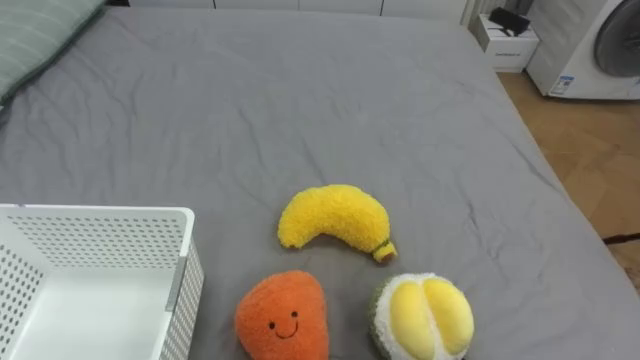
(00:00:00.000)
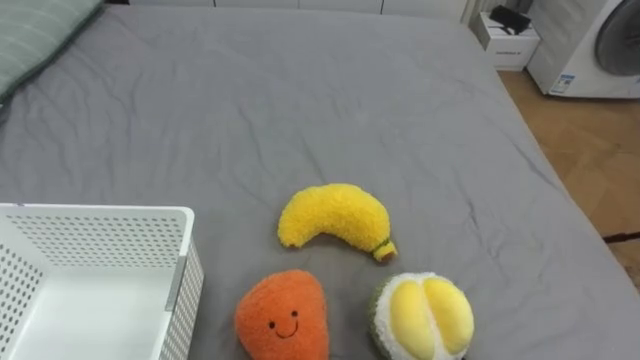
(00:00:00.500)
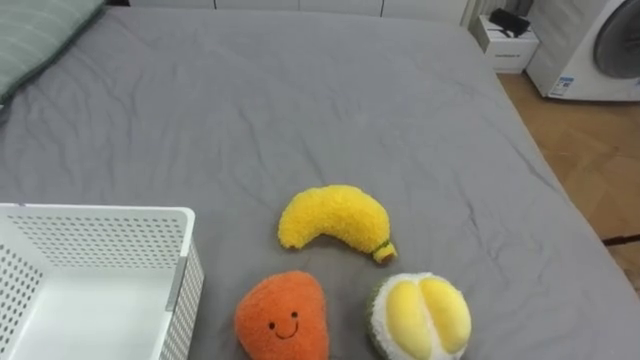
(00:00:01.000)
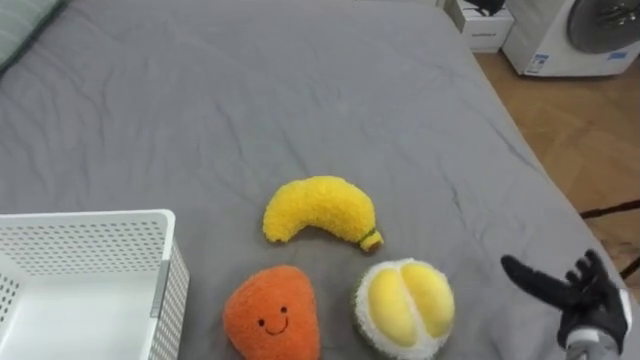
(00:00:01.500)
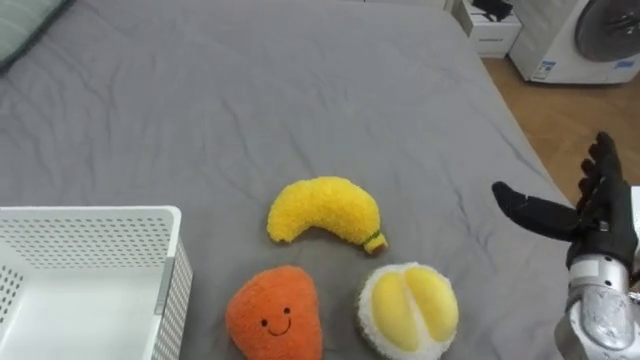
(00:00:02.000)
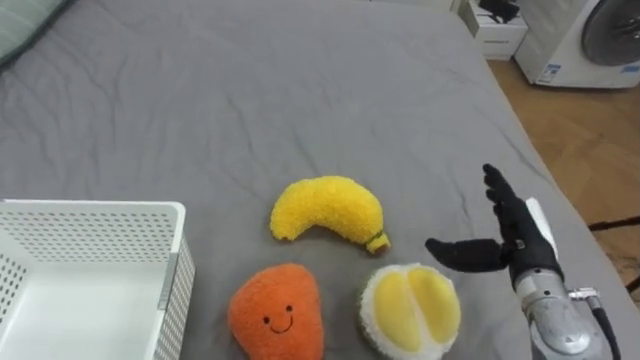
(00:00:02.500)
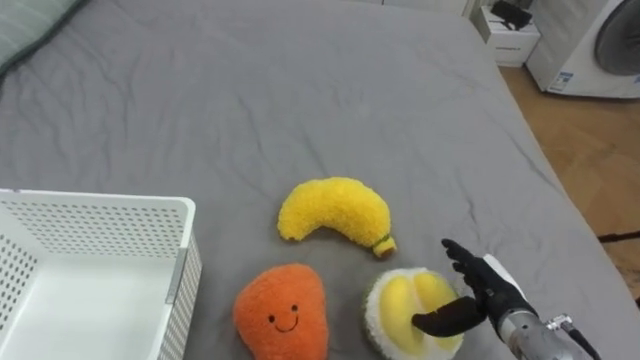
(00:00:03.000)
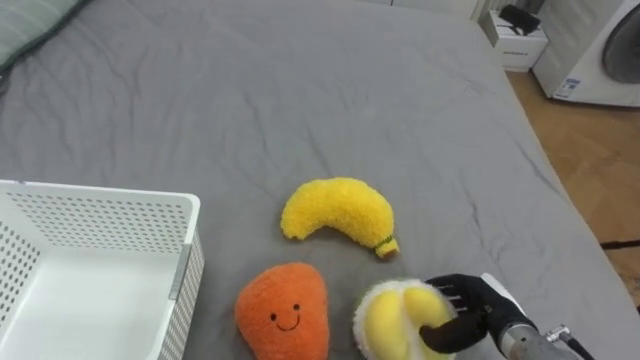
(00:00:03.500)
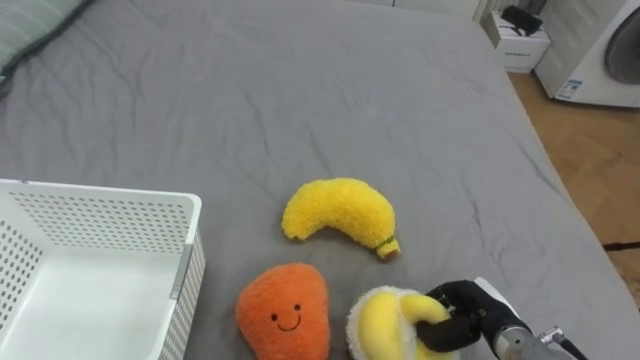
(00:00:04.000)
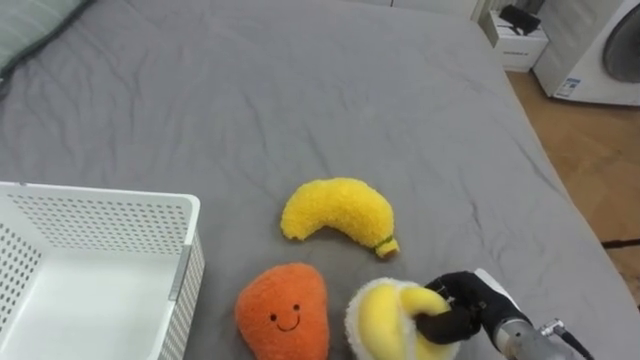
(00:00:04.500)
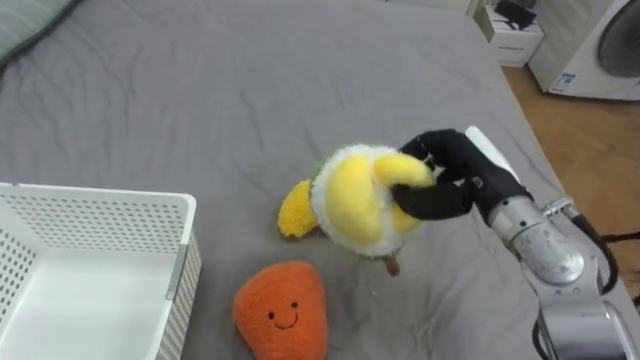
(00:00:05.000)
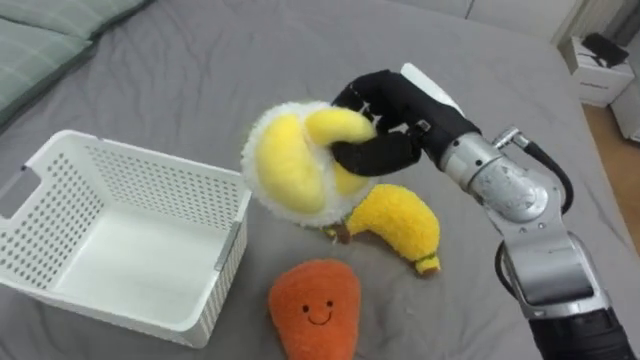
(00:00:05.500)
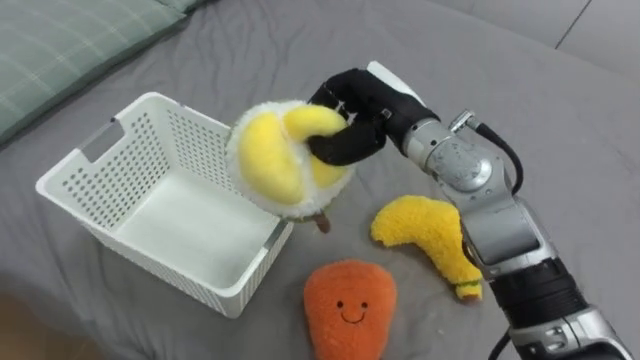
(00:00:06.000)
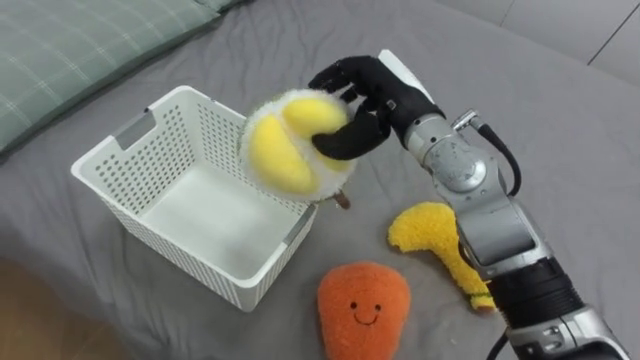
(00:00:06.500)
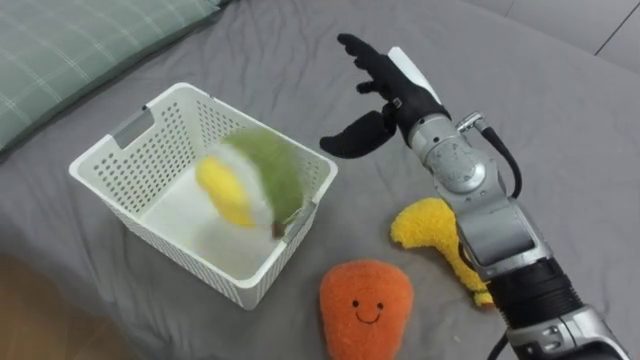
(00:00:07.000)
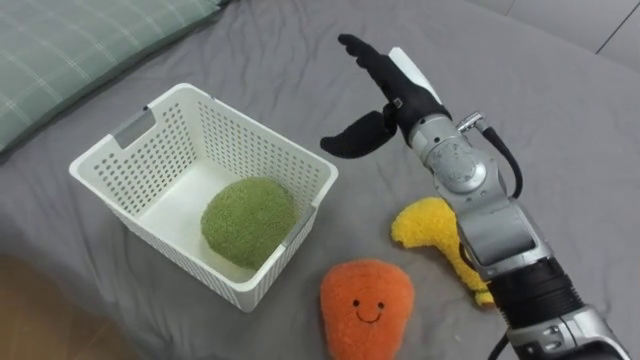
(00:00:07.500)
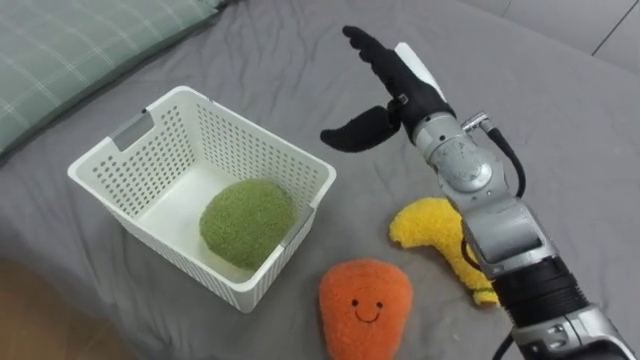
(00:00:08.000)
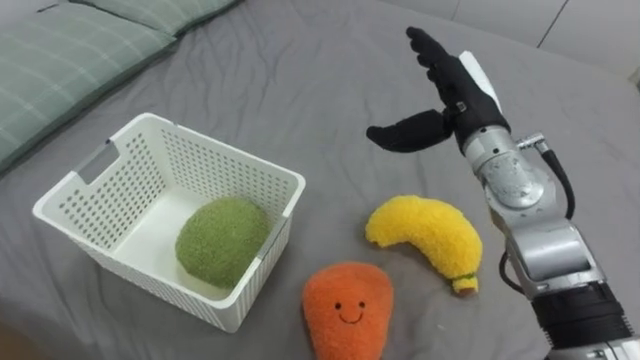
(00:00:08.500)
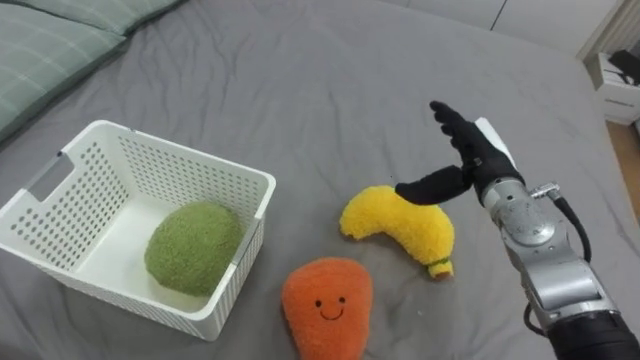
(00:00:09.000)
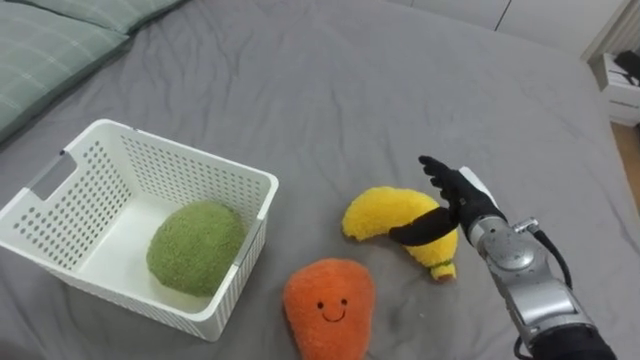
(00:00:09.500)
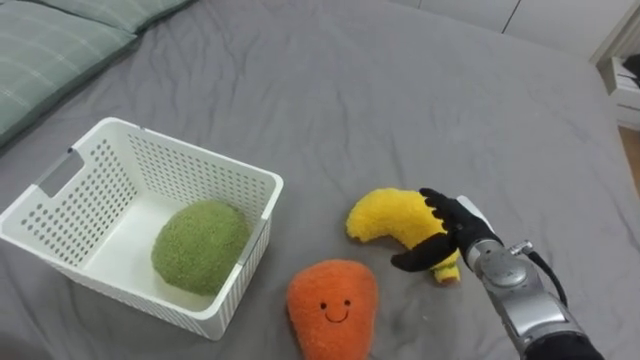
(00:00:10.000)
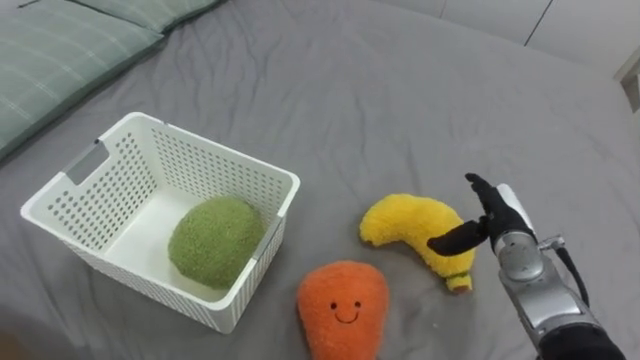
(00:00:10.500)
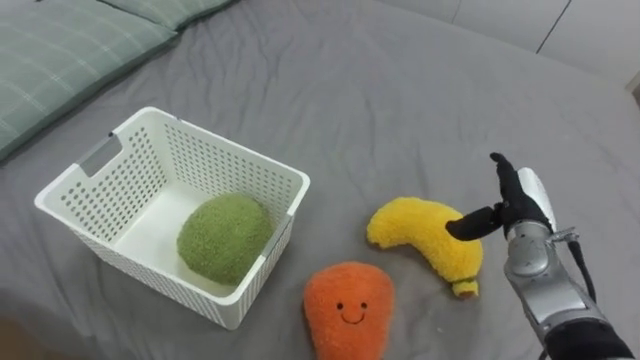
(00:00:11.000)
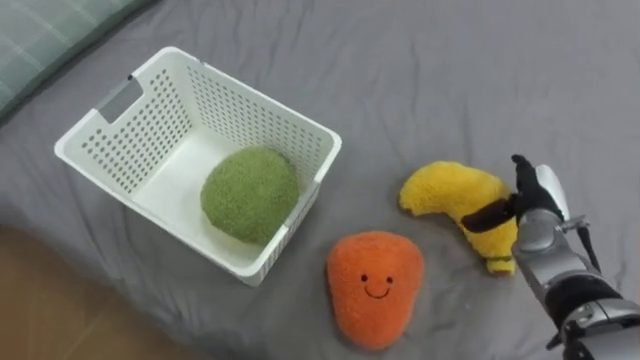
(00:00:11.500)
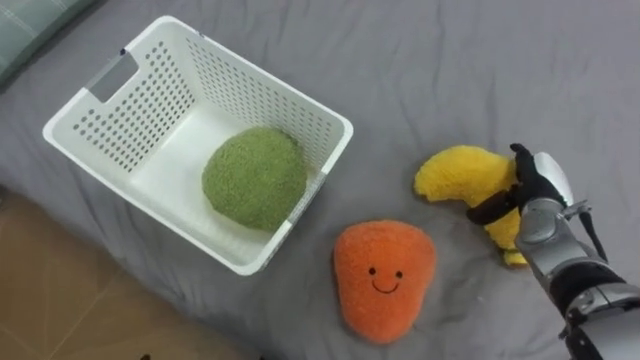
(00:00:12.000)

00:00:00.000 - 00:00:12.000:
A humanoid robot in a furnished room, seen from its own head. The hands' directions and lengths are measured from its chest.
Task of the whole recording: Put the toys on the bed into the basket on the left.
00:00:02.000 - 00:00:04.000: The right hand goes roughly 15 cm downward and to the left, and closes its fingers.
00:00:04.000 - 00:00:06.000: The right hand goes roughly 35 cm upward, forward and to the left.
00:00:06.000 - 00:00:08.000: The right hand opens its fingers.
00:00:08.000 - 00:00:10.000: The right hand travels downward and to the right by about 20 cm.
00:00:10.000 - 00:00:12.000: The right hand travels to the right by approximately 10 cm.

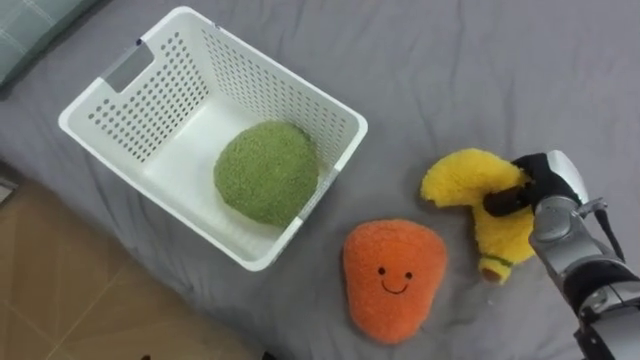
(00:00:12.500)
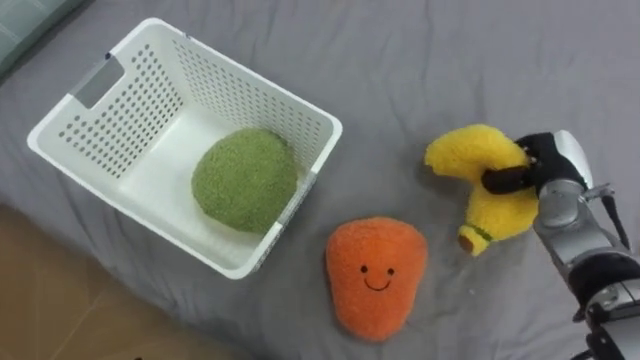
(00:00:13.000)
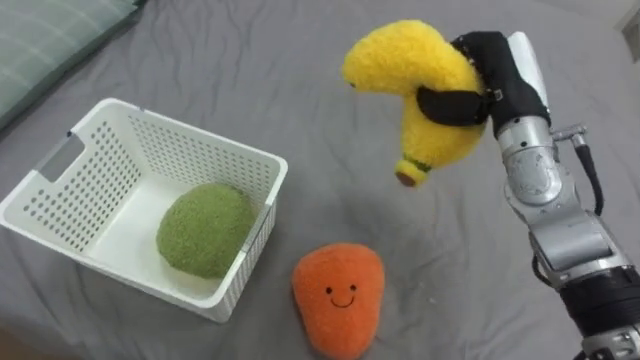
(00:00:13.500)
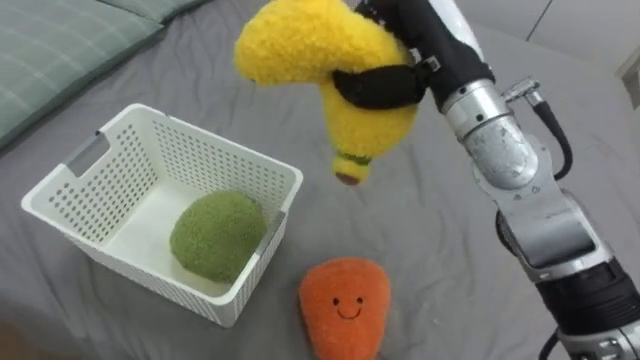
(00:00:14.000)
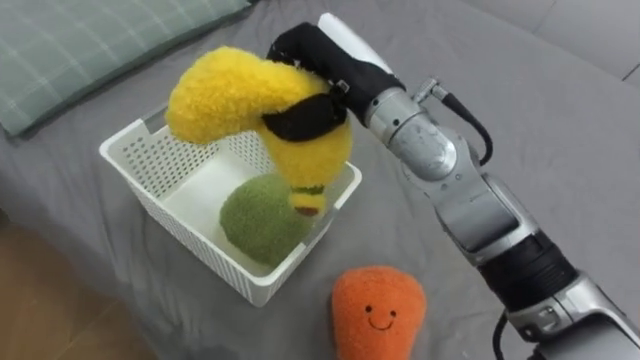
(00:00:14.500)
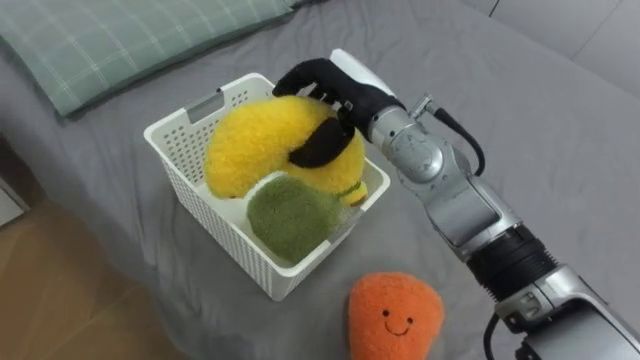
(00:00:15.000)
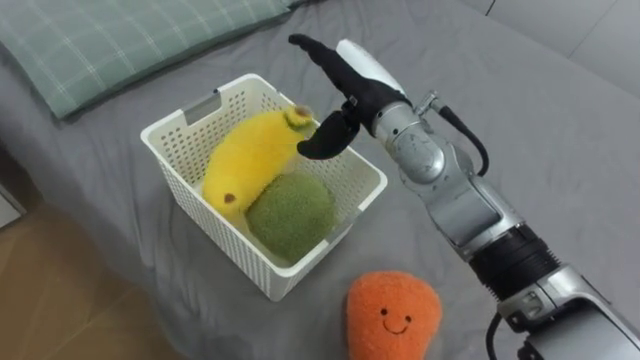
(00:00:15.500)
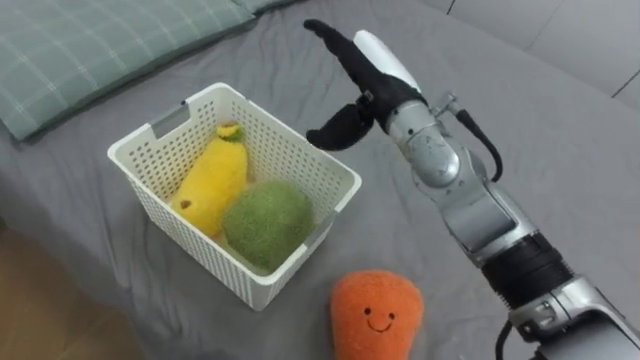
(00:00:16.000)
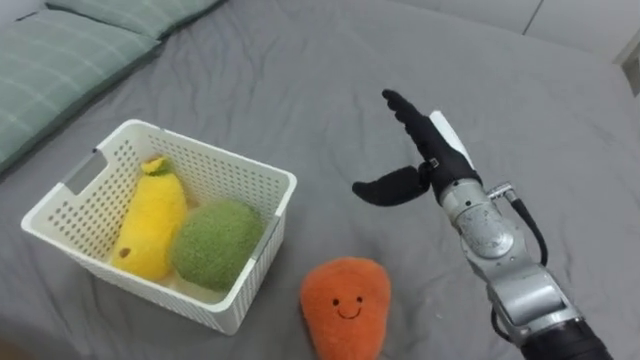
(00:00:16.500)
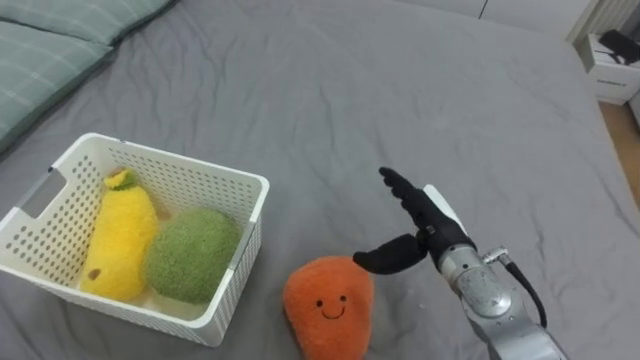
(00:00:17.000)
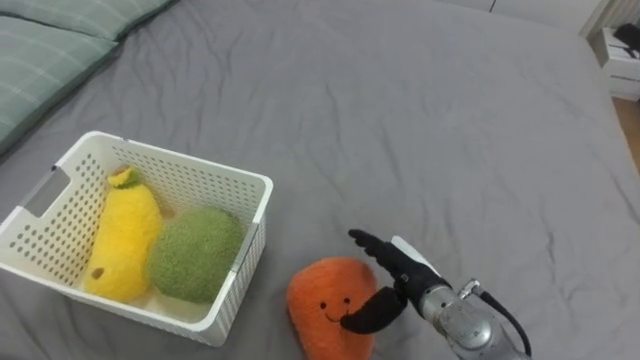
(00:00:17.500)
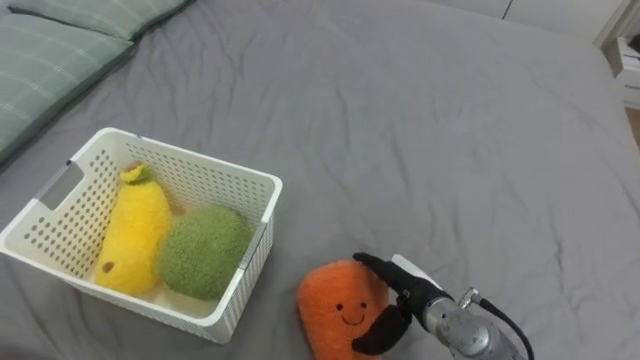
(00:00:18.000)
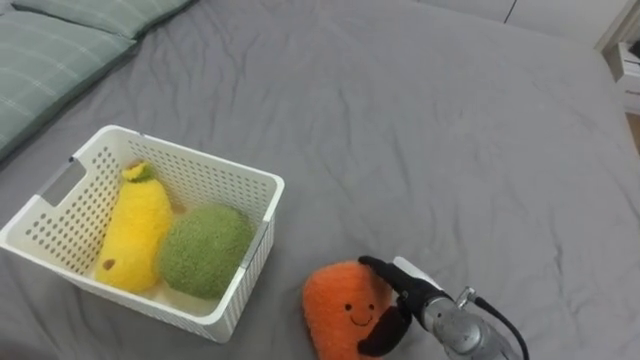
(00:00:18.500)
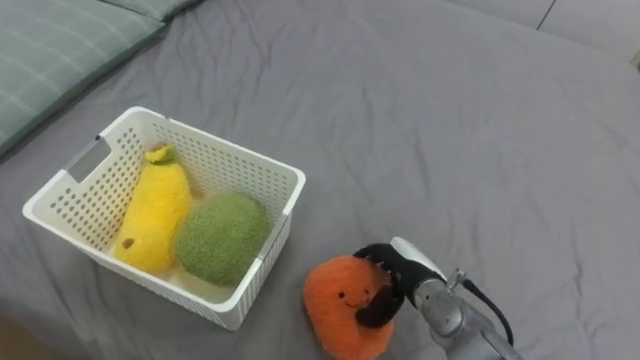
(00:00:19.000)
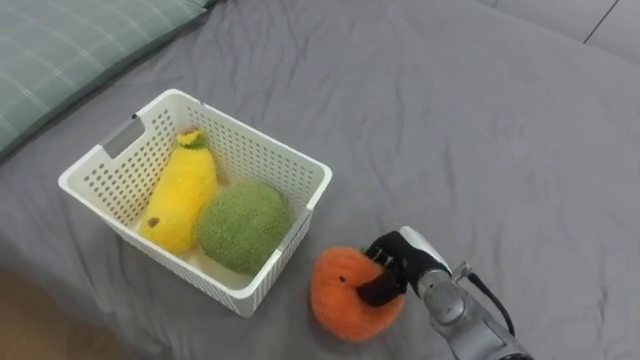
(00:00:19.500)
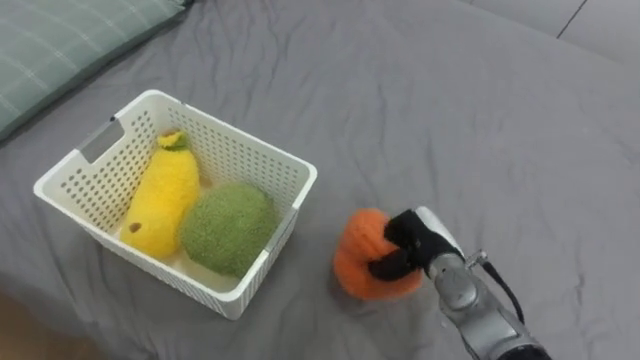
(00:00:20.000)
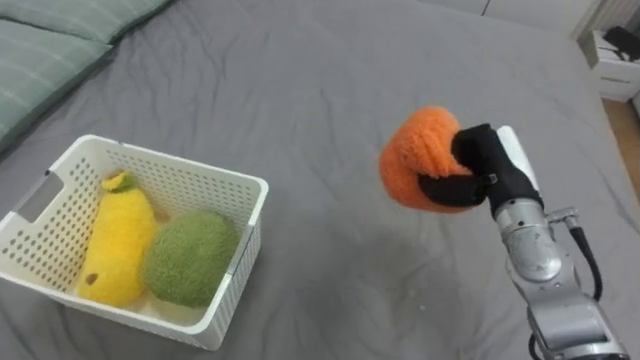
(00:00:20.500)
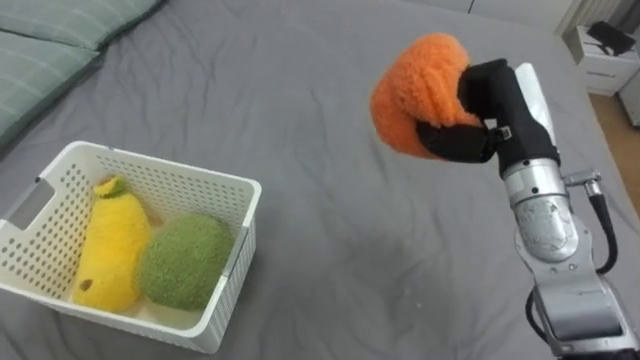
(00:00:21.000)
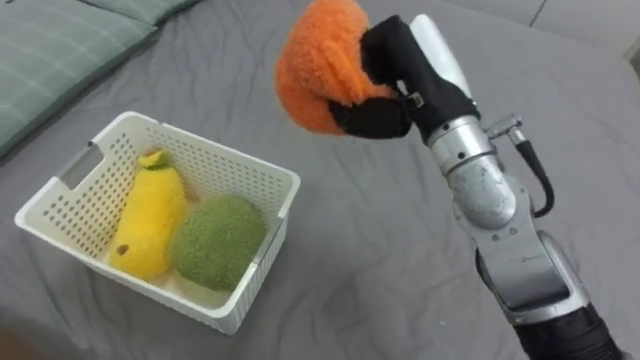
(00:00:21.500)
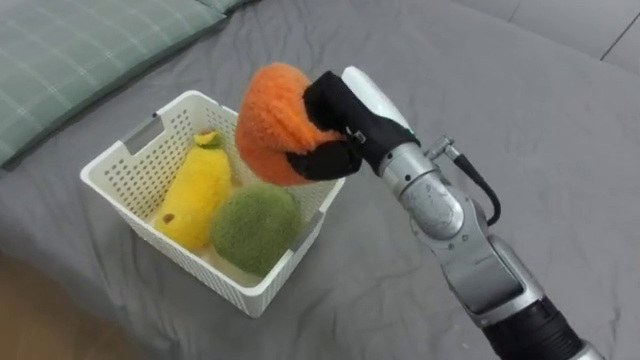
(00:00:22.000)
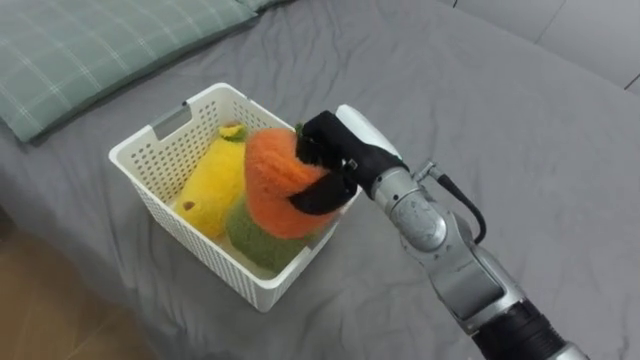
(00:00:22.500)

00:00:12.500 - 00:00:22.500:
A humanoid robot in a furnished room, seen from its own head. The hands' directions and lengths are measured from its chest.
Task of the whole recording: Put the toys on the bed into the basket on the left.
00:00:12.500 - 00:00:14.500: The right hand goes about 35 cm to the left and upward.
00:00:14.500 - 00:00:16.500: The right hand moves to the right and downward, roughly 15 cm, and opens its fingers.
00:00:16.500 - 00:00:18.500: The right hand heads downward and backward, covering roughly 20 cm.
00:00:18.500 - 00:00:20.500: The right hand travels upward, to the right and forward by about 20 cm, and closes up.
00:00:20.500 - 00:00:22.500: The right hand heads to the left, covering some 20 cm.
